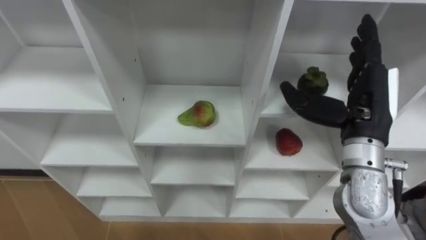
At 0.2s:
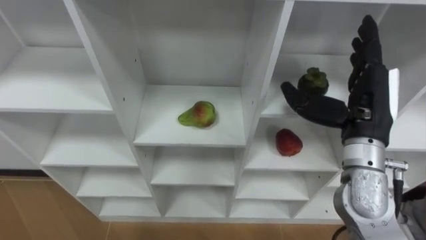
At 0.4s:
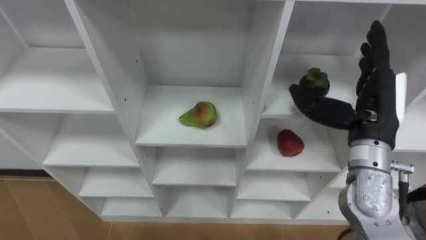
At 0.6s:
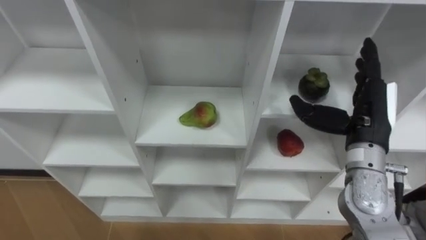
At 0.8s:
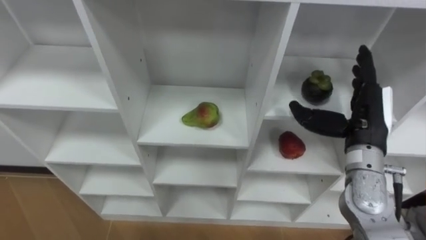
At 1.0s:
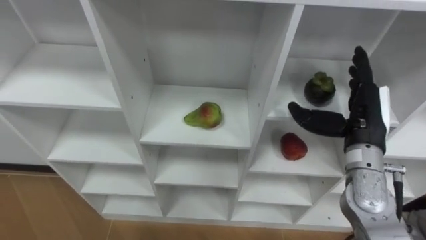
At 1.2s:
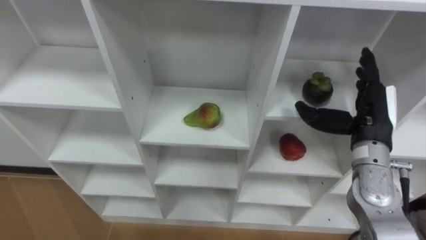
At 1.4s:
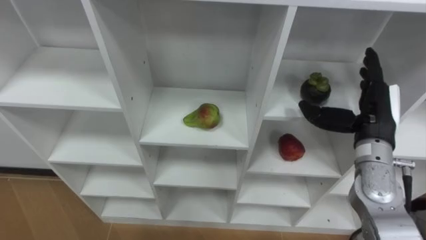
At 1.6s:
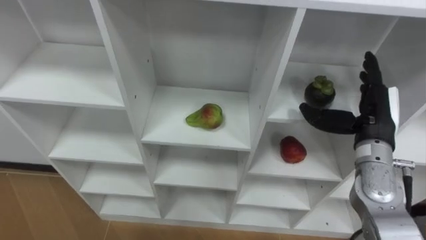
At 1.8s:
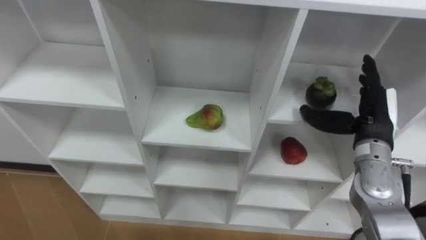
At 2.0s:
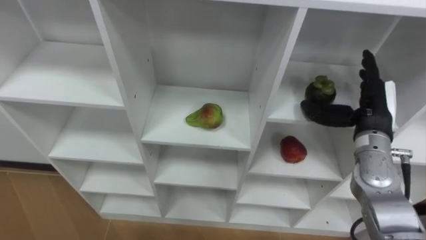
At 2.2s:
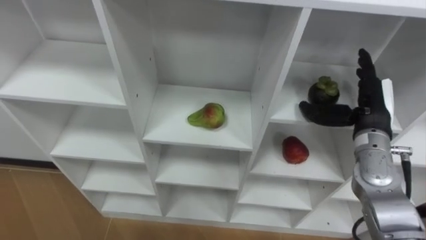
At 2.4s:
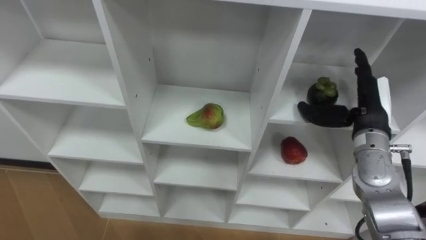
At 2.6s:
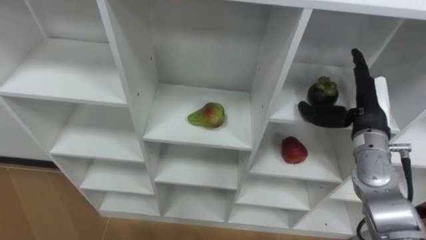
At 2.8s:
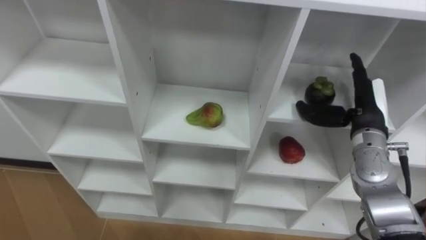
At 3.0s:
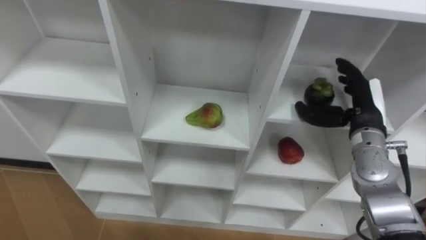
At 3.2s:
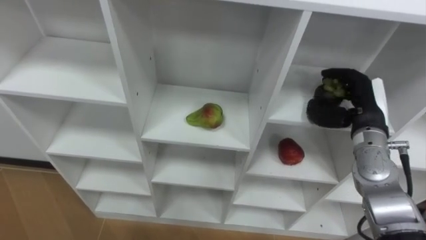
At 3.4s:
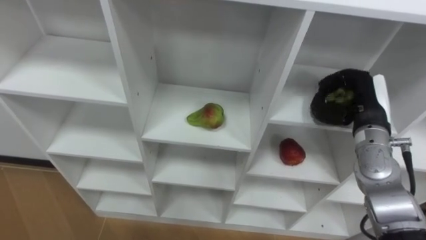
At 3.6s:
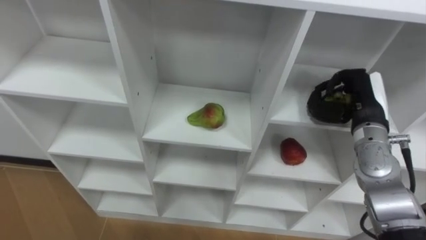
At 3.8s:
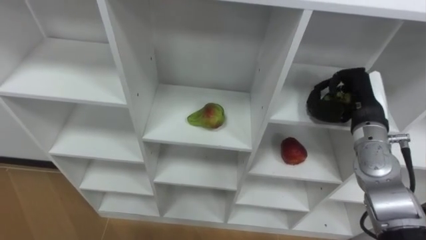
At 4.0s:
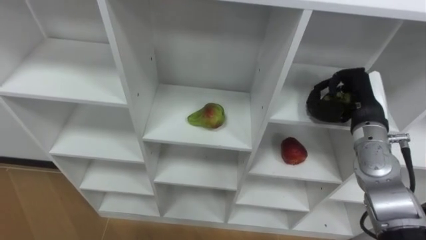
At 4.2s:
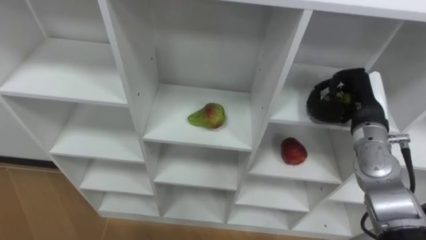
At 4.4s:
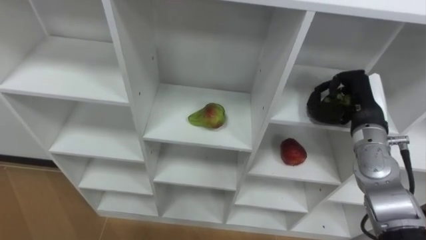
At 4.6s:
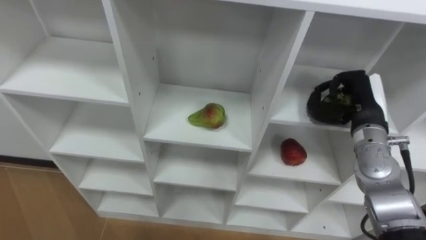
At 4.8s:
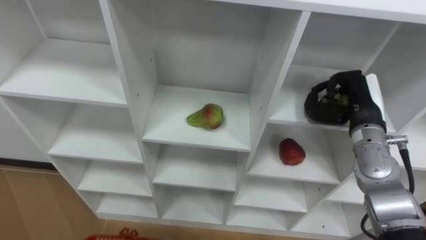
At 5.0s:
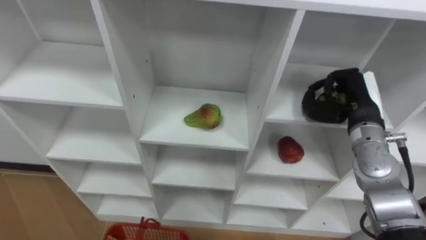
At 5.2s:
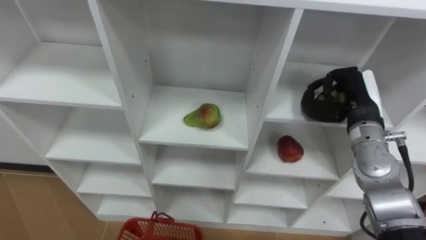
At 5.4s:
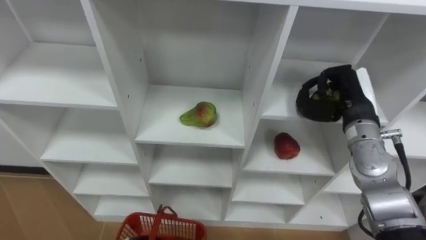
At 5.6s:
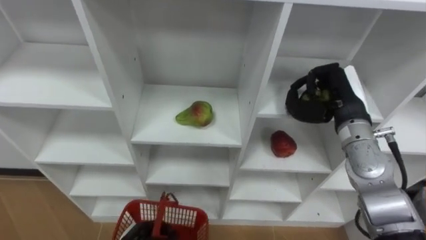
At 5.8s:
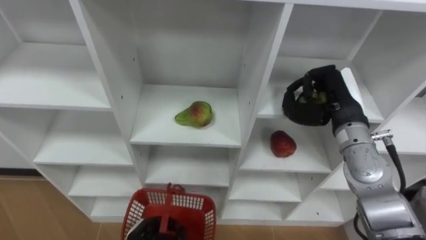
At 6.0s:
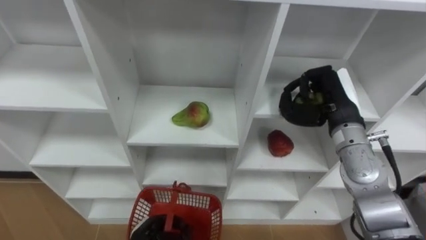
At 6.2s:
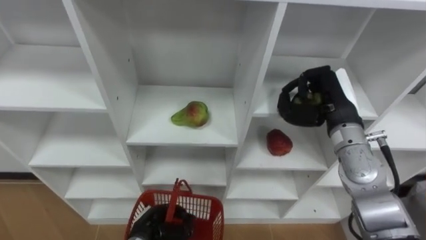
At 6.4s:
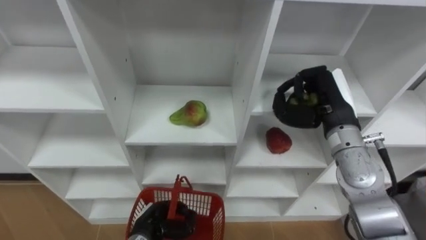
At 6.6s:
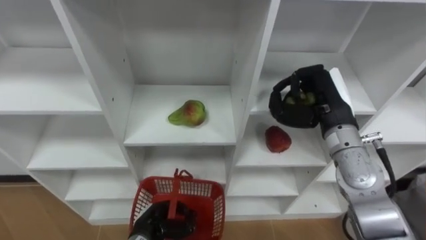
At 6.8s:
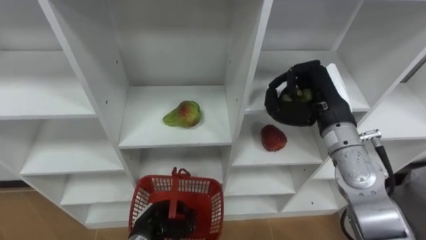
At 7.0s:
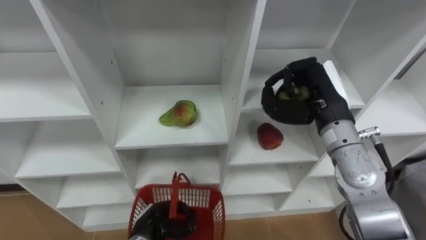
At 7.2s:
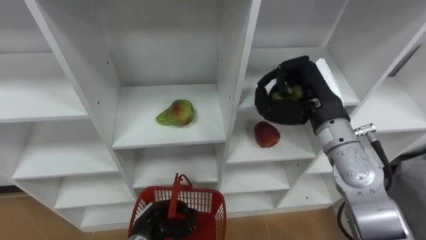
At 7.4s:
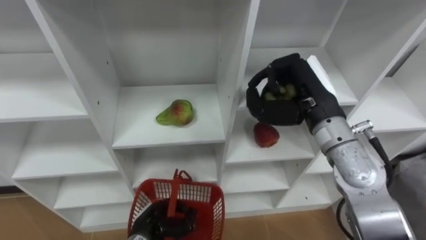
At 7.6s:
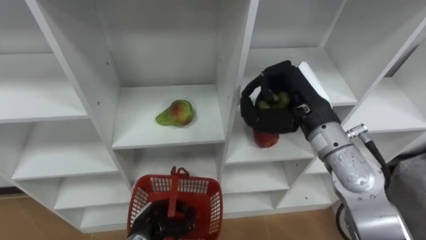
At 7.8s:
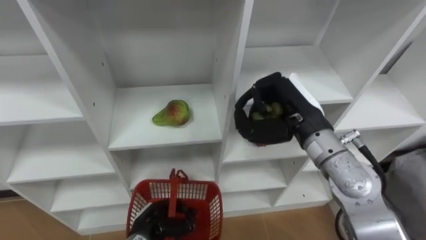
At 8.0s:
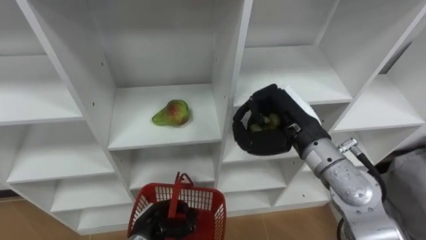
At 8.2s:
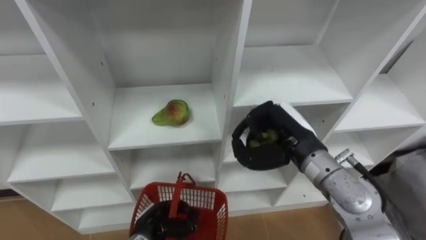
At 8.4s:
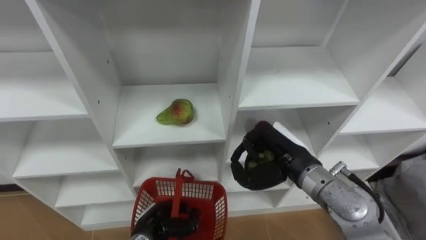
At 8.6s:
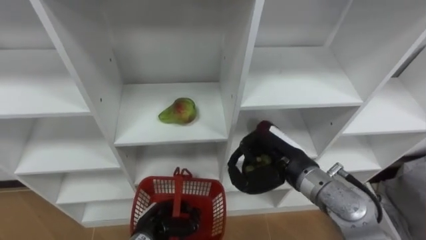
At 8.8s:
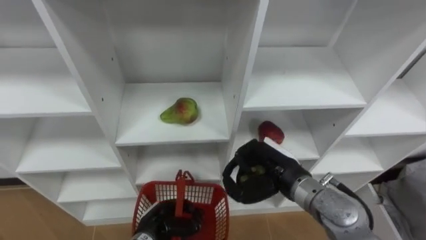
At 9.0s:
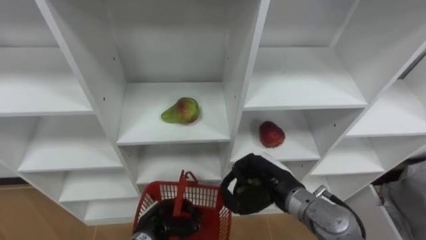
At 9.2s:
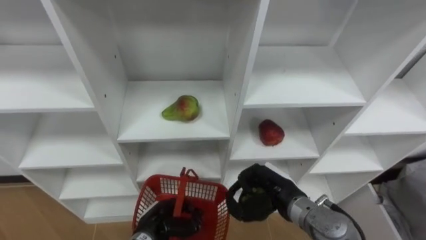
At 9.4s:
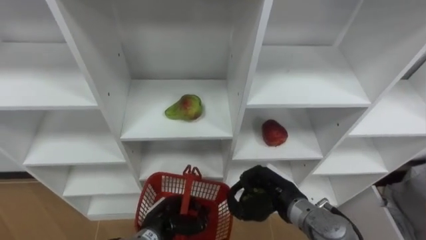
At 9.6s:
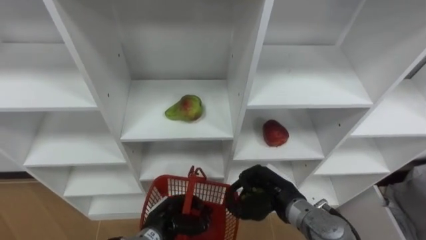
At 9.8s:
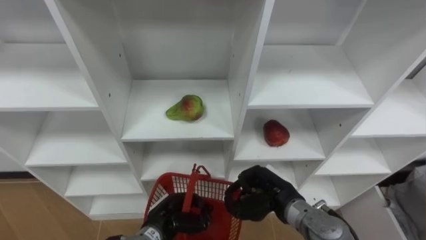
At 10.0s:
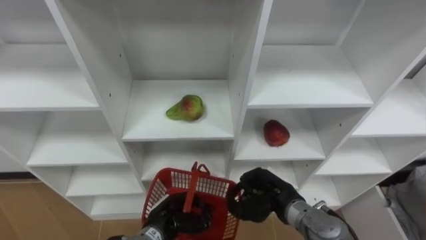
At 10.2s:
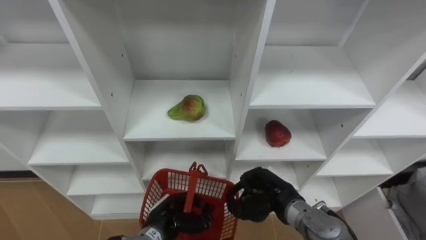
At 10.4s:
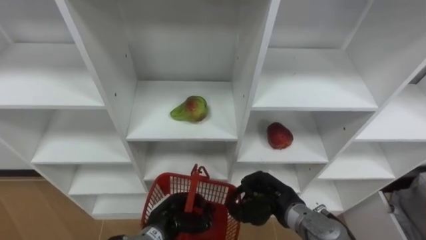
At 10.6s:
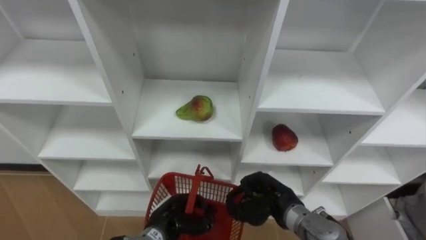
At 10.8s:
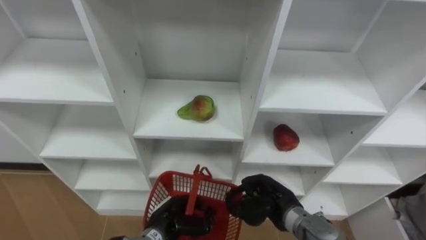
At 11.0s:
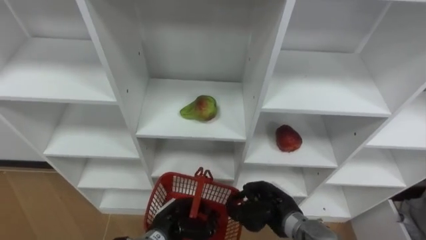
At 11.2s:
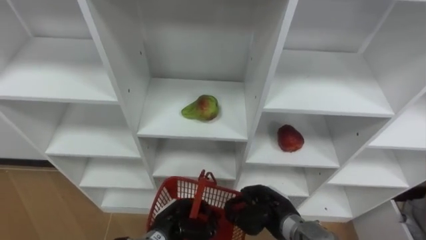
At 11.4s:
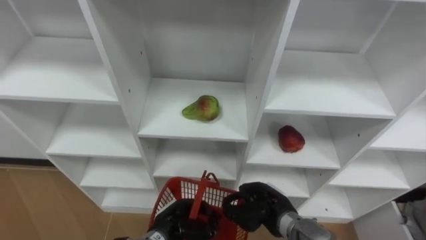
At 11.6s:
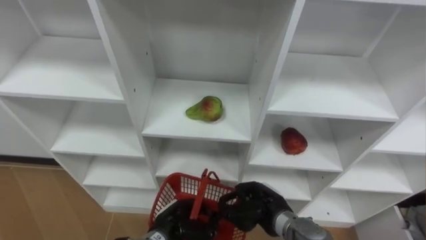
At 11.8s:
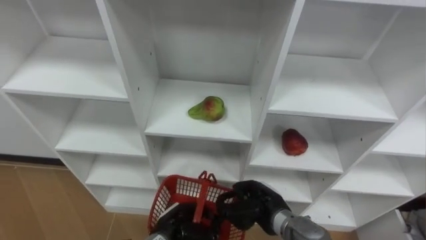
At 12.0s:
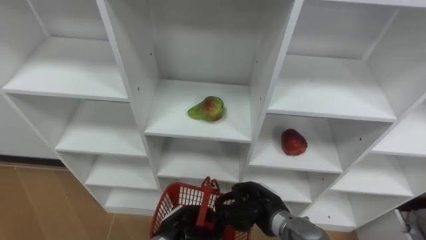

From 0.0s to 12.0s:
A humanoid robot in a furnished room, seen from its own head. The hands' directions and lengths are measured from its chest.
Task of the whole recording: Hold the basket and collect the fruits from 3 different cells of the closet into it.
From 0.0s to 1.6s: The right hand is displaced downward by some 5 cm.
From 3.0s to 4.4s: The right hand closes.
From 4.4s to 6.0s: The right hand heads to the left, covering some 5 cm.
From 6.0s to 7.6s: The right hand heads to the left, covering about 5 cm.
From 7.6s to 9.0s: The right hand goes roughly 15 cm downward and backward.
From 9.0s to 10.4s: The right hand moves downward, some 5 cm.

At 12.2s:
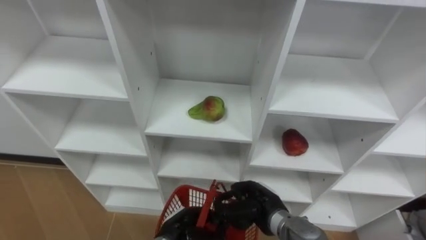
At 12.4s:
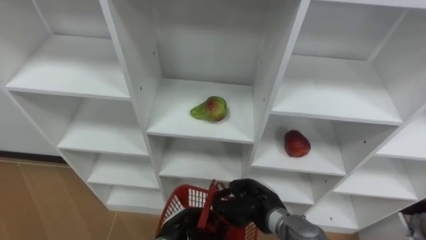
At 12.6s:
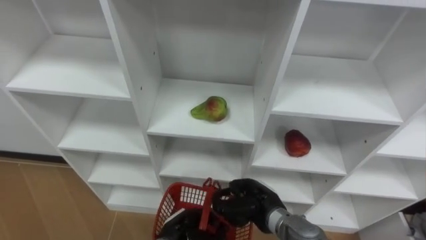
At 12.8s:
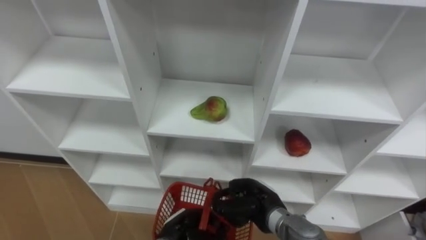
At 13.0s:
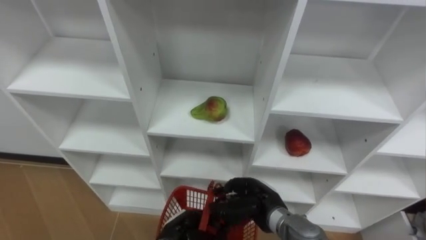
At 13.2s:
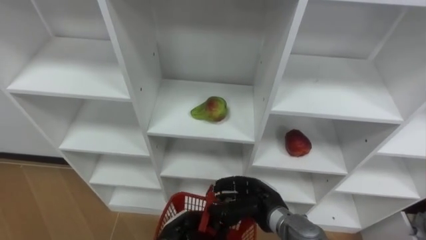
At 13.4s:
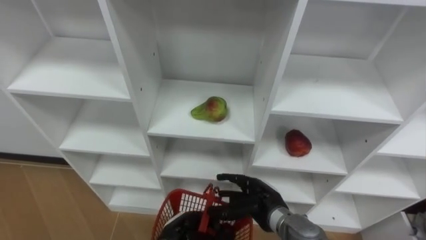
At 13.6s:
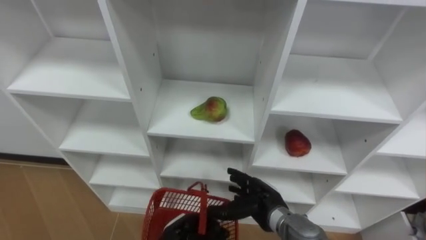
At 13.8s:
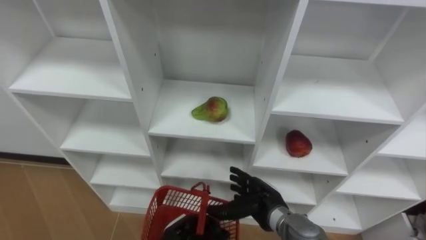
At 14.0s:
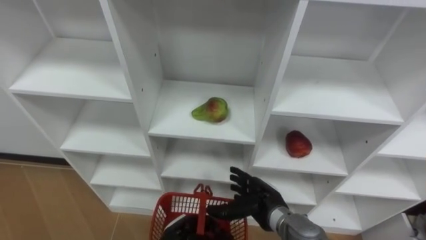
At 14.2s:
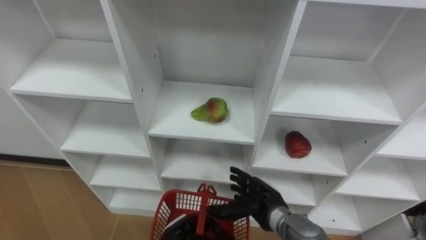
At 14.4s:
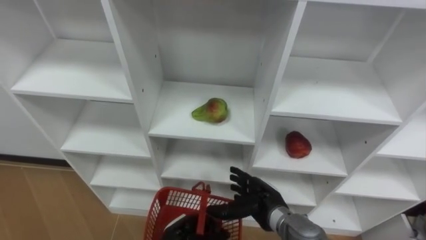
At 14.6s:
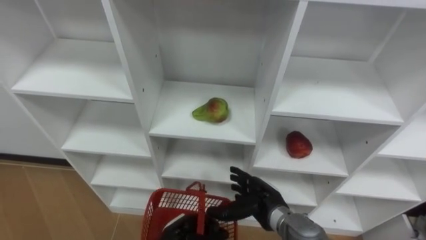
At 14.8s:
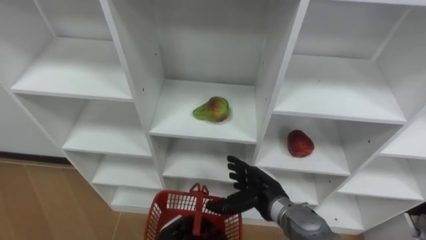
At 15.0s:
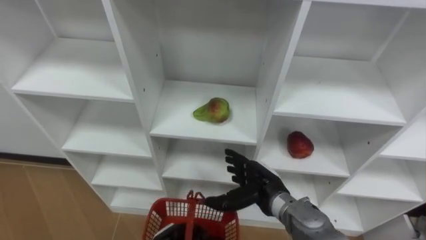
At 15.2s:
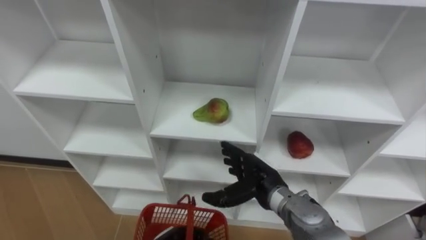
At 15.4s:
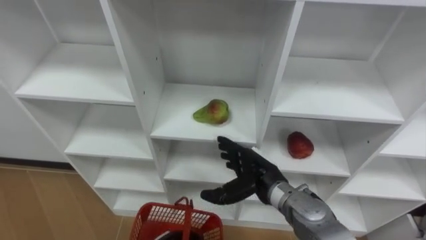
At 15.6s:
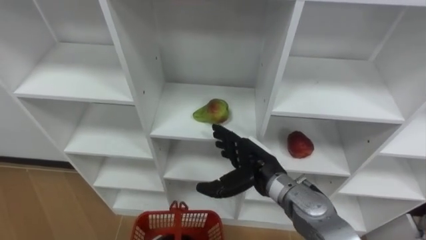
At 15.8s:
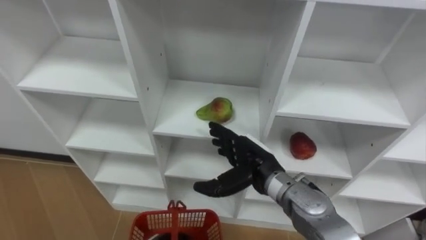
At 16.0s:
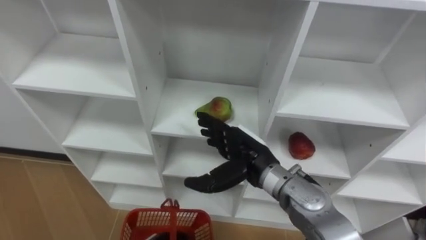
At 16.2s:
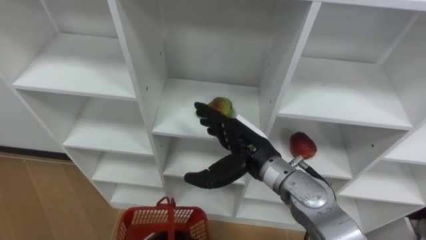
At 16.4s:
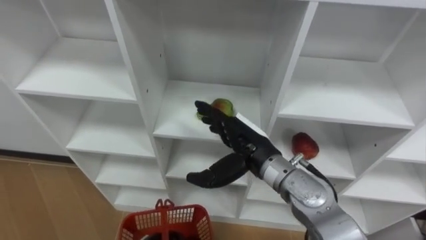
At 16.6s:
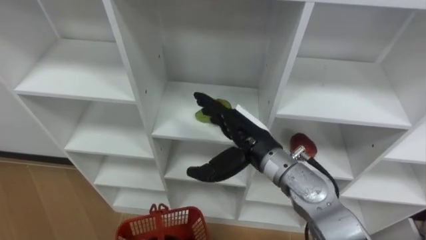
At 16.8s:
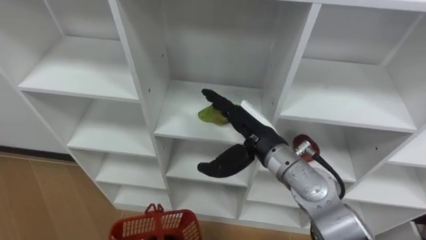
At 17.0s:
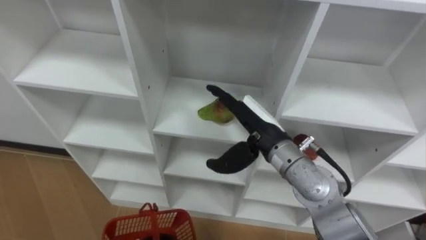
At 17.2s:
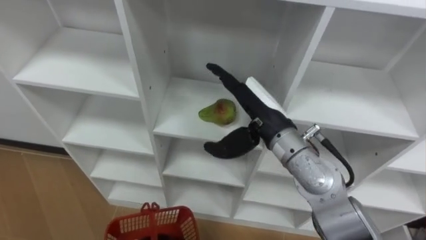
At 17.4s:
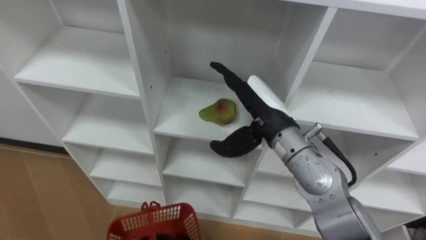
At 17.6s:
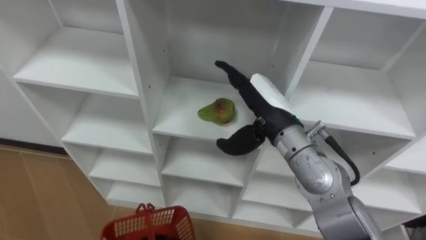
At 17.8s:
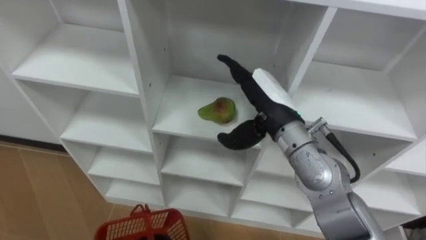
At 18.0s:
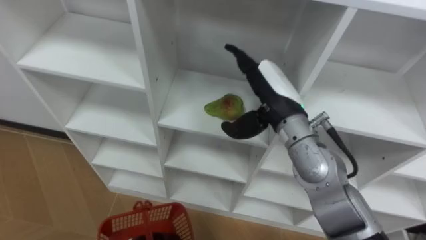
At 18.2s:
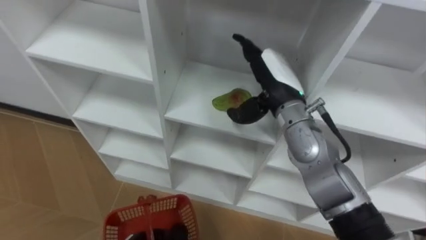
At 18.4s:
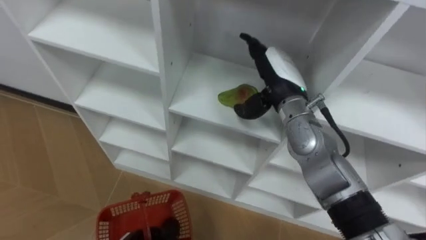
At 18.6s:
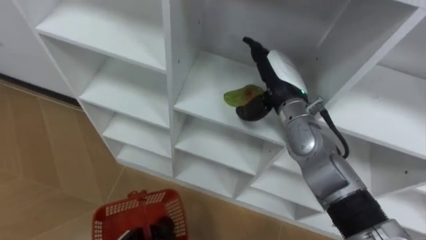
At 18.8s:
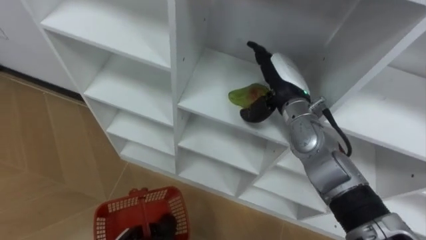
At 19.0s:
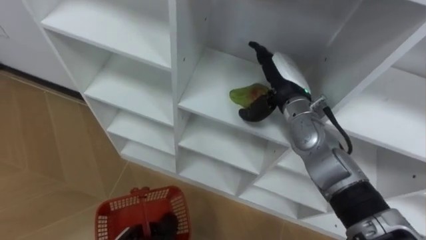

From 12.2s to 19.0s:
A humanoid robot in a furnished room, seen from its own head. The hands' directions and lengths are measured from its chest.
Task of the whole recording: Hold the basket and collect the fruits from 3 different cells of the closet into it.
From 12.2s to 13.6s: The right hand opens its fingers.
From 15.0s to 16.2s: The right hand goes about 10 cm upward.
From 16.2s to 17.6s: The right hand goes some 5 cm upward.
From 17.6s to 19.0s: The right hand moves forward, about 10 cm.
